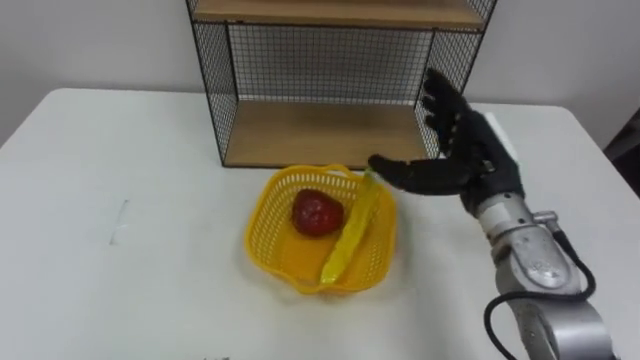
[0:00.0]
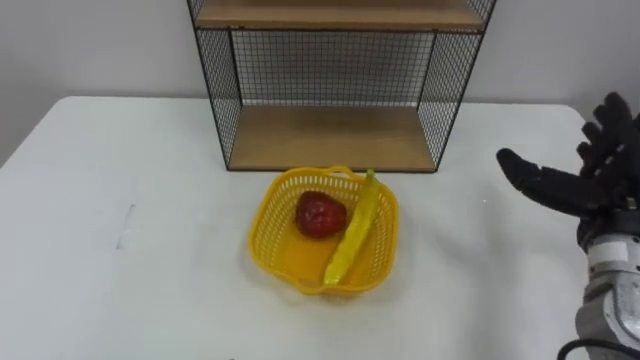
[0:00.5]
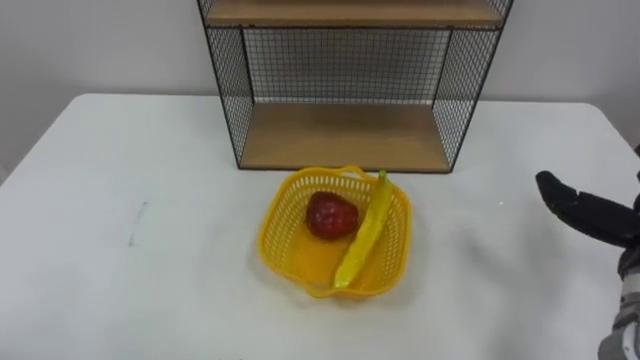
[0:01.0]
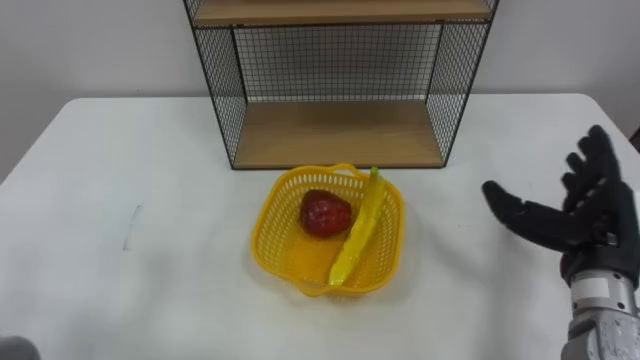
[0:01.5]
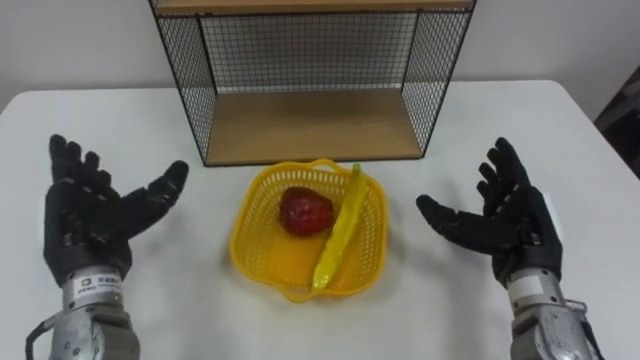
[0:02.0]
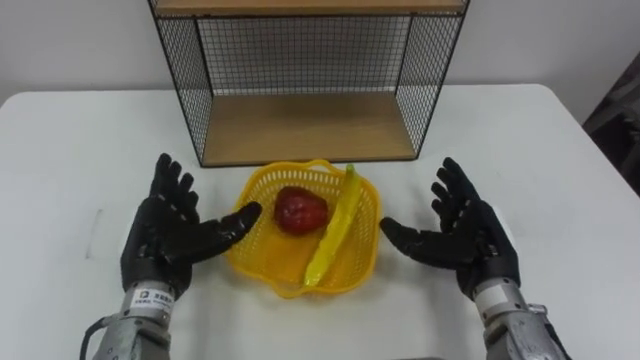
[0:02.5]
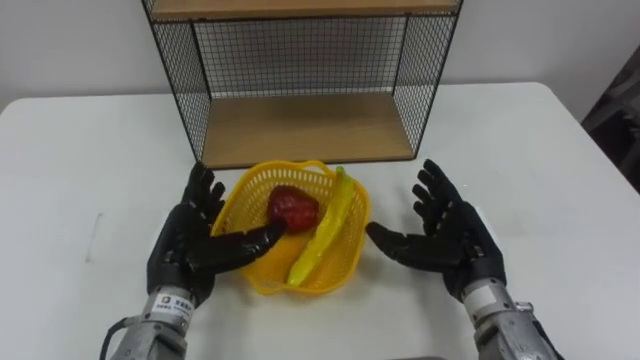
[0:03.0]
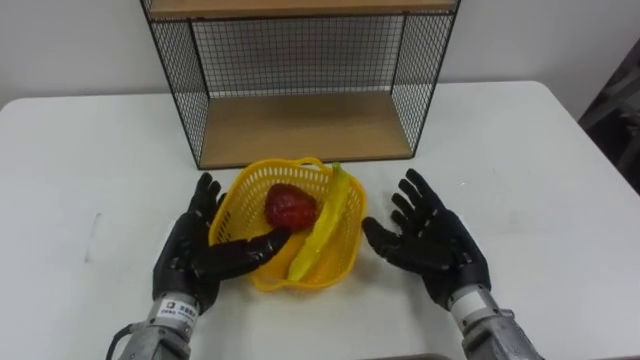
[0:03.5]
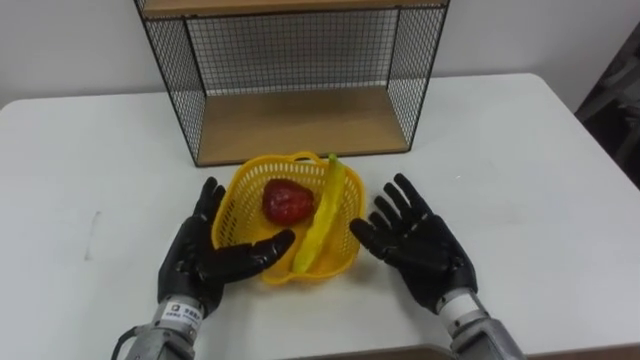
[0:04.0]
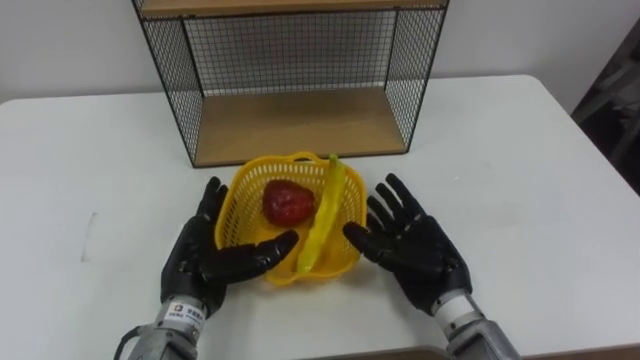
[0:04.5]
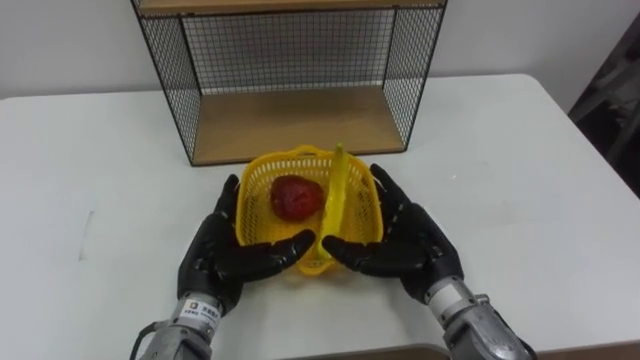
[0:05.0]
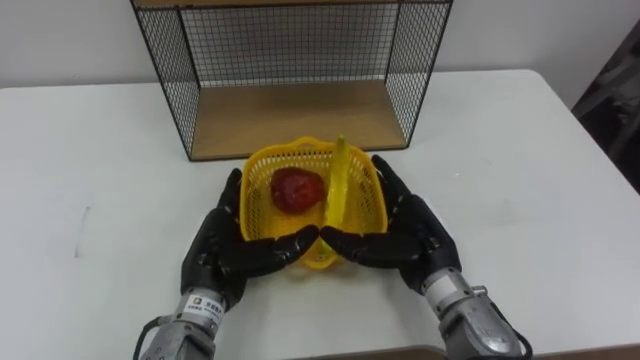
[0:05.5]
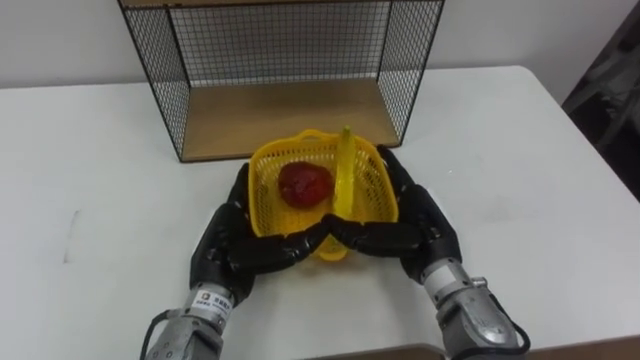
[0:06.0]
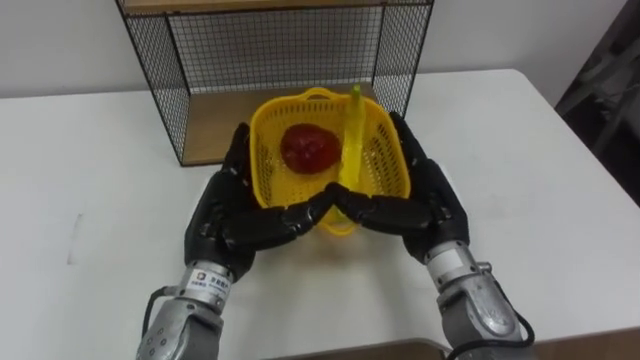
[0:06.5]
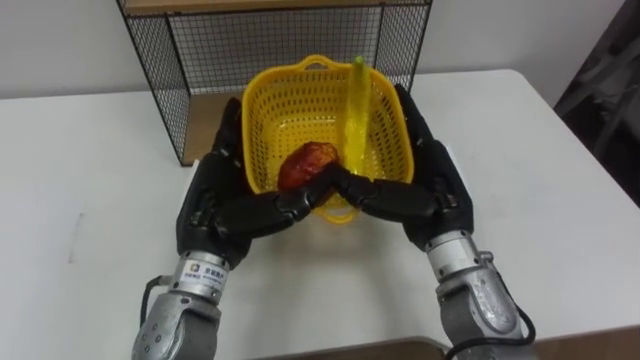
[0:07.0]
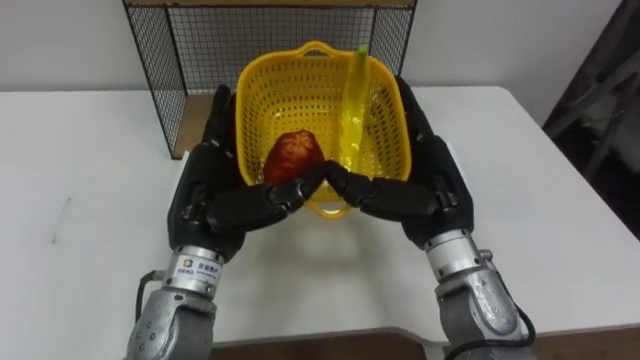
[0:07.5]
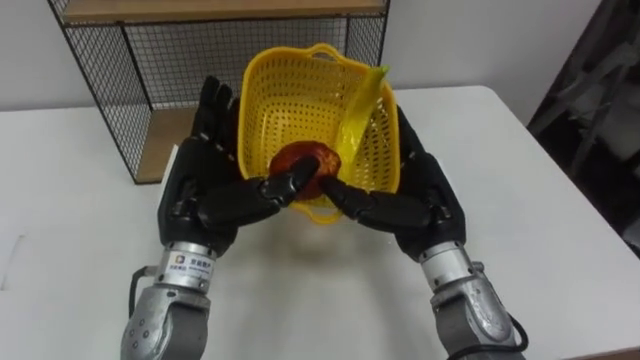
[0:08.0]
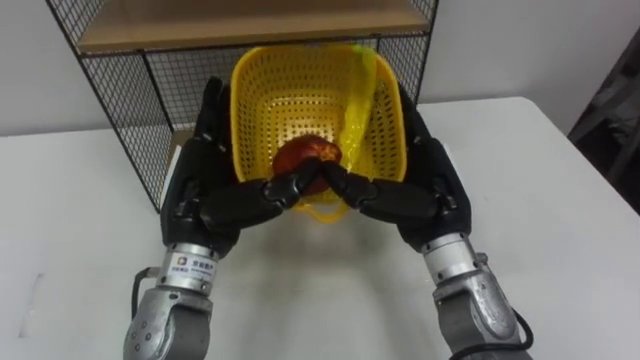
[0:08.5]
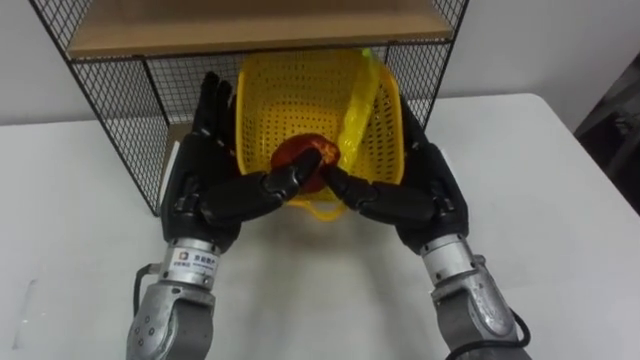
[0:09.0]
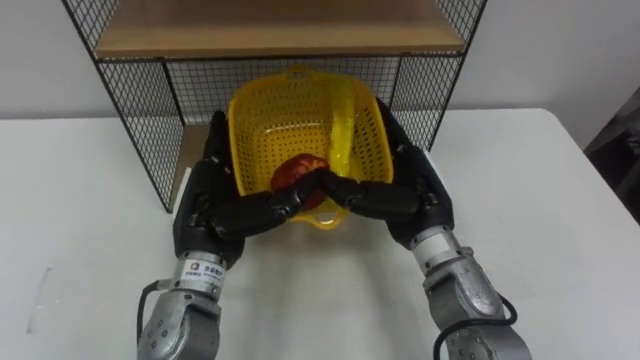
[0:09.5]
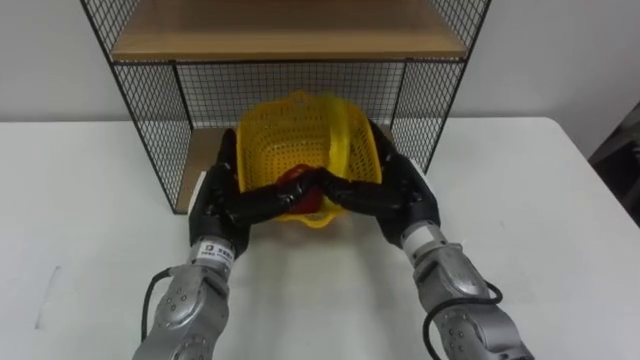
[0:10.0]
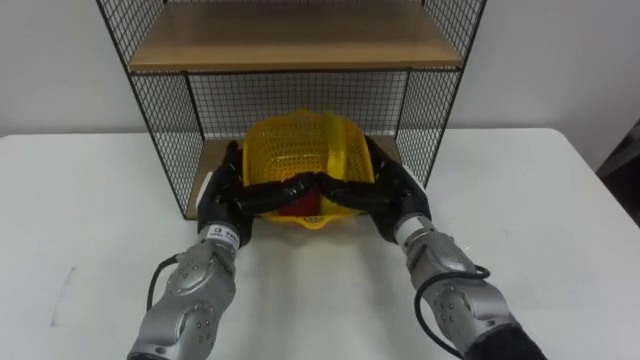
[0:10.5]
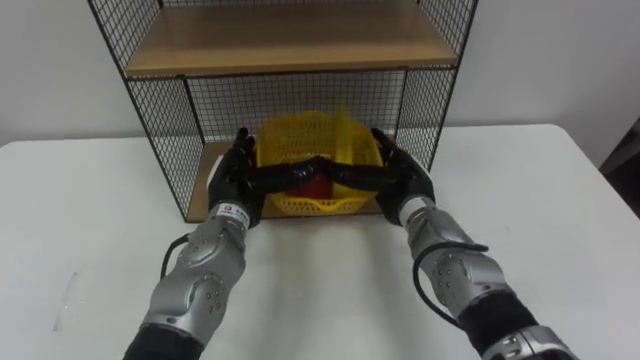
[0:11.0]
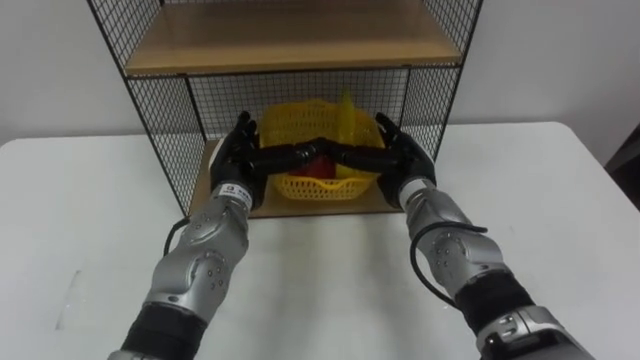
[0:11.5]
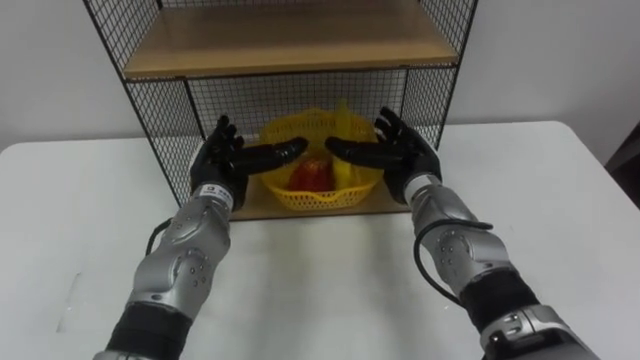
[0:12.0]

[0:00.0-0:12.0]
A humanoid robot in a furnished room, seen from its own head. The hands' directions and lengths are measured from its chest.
Task of the whole recording: Put the fruit on the table into the basket, then place the basket on the shelf.
0:02.0 to 0:04.0: The left hand heads to the right and downward, covering roughly 15 cm. The right hand is displaced to the left and downward by some 10 cm.
0:06.0 to 0:08.0: The right hand travels upward by some 5 cm. Meanwhile the left hand goes some 10 cm upward.
0:08.0 to 0:10.0: The left hand is displaced downward by about 10 cm; the right hand changes place by some 5 cm.
0:10.0 to 0:12.0: The hands both shift forward by about 5 cm.

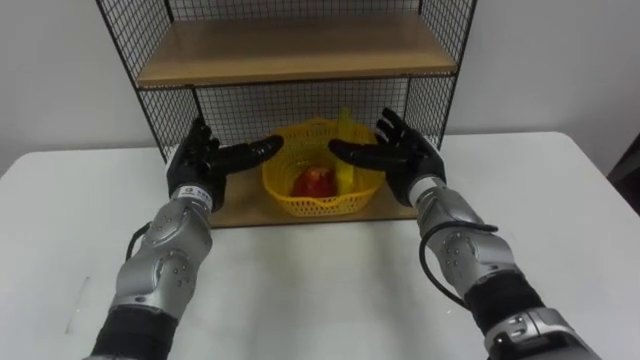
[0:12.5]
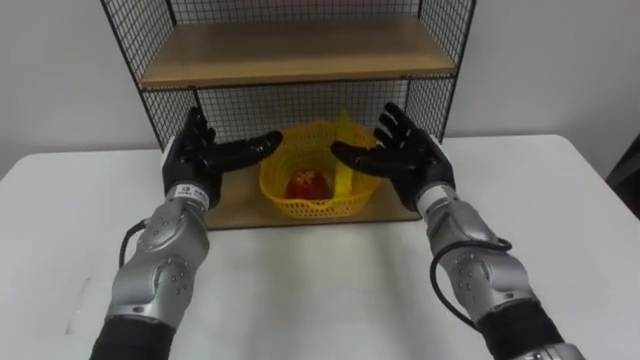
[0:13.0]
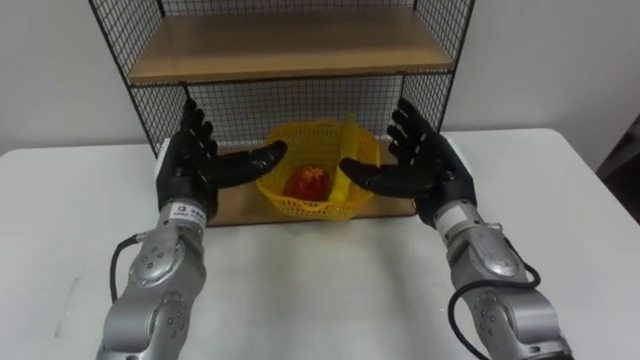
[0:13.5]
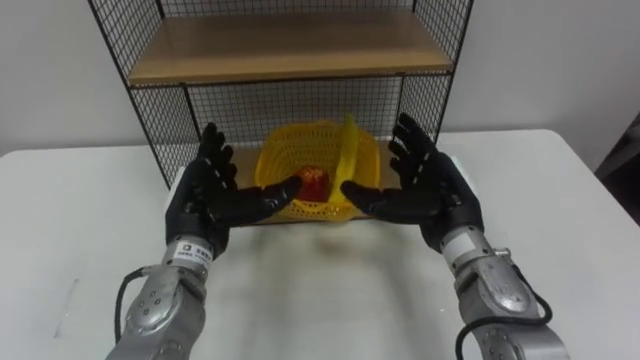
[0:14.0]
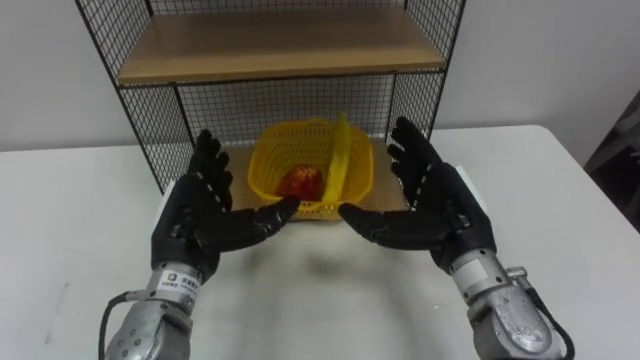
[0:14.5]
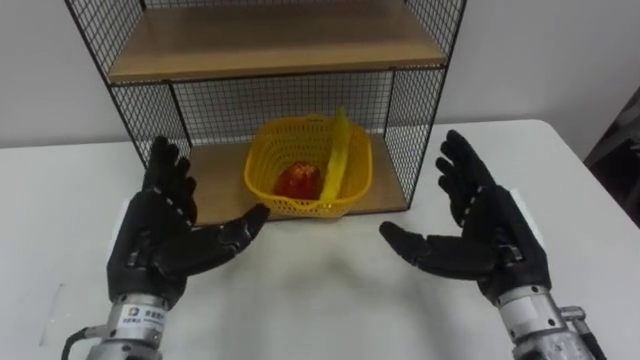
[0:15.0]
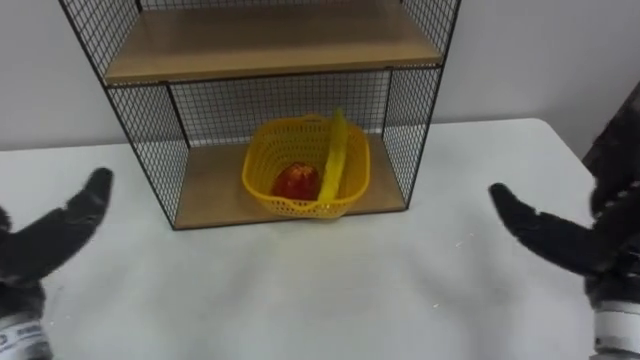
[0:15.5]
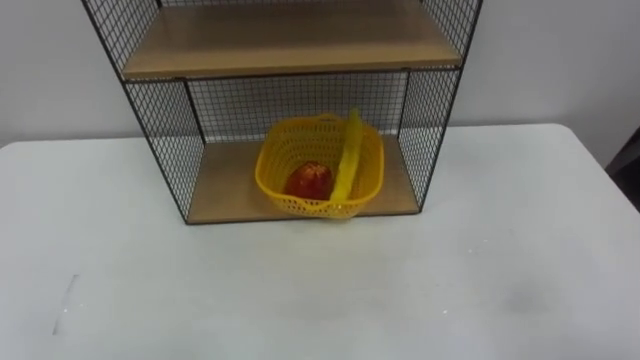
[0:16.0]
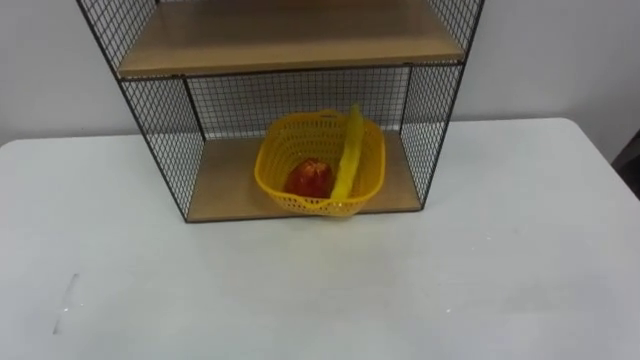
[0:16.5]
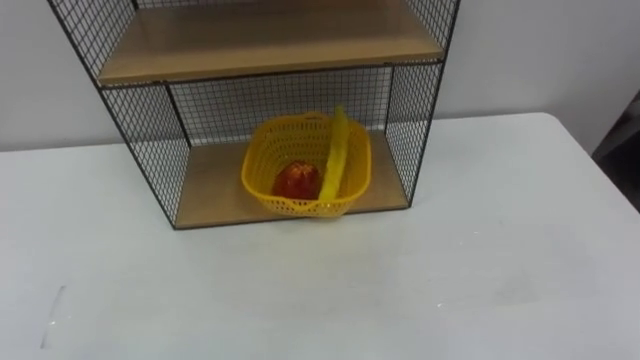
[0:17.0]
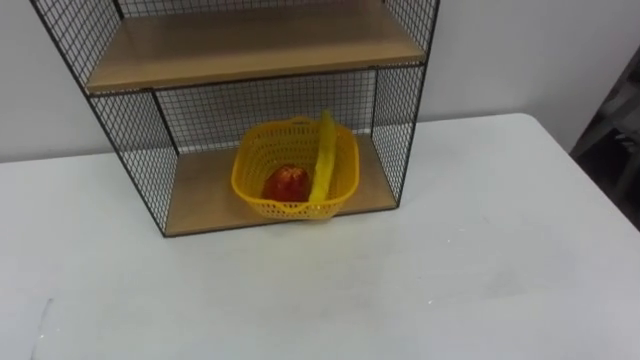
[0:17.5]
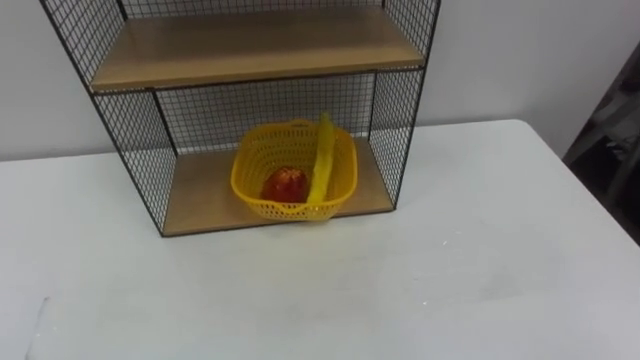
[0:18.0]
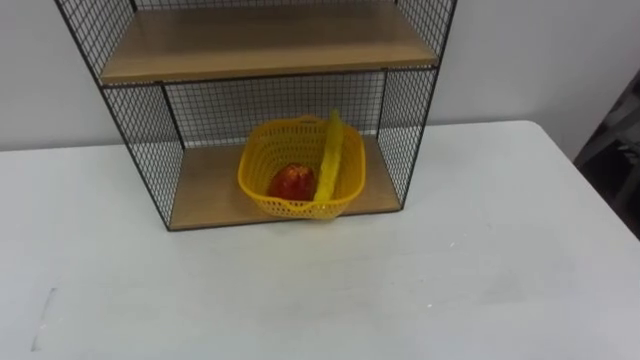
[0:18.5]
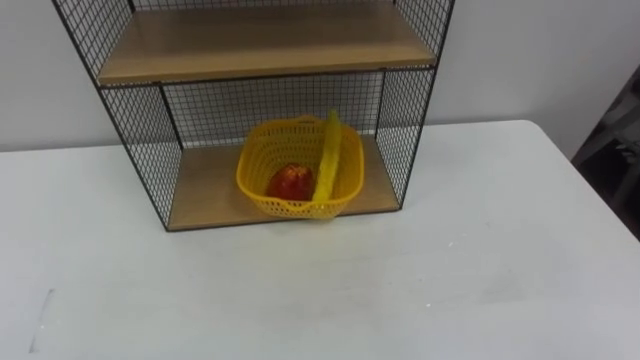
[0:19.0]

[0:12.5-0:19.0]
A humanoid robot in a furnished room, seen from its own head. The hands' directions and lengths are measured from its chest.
Task of the whole recording: Put the fruit on the table into the basket, then place the basket on the shelf.
0:12.5 to 0:14.5: Both hands move backward, approximately 10 cm.

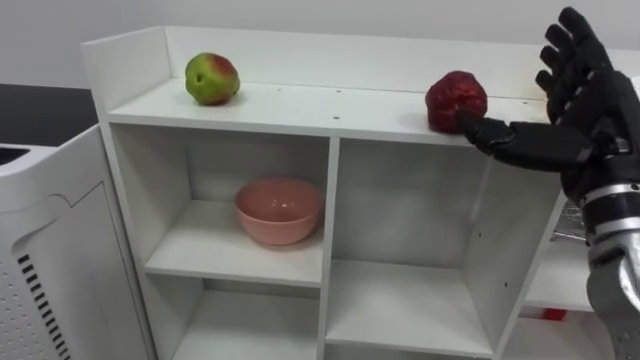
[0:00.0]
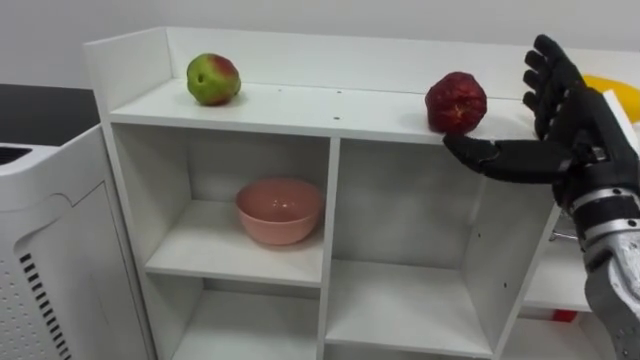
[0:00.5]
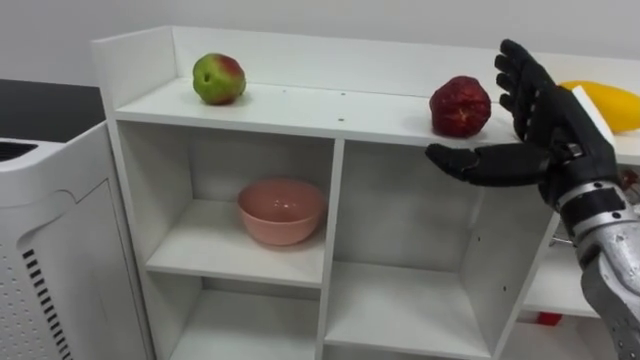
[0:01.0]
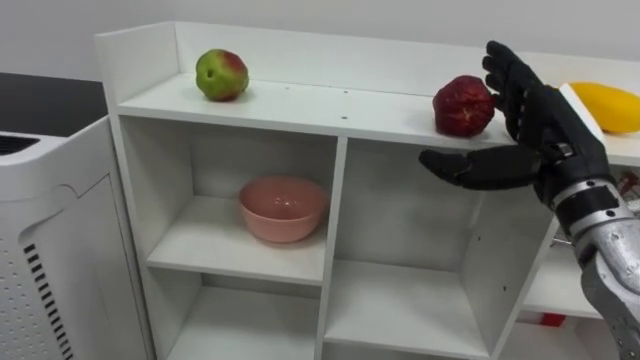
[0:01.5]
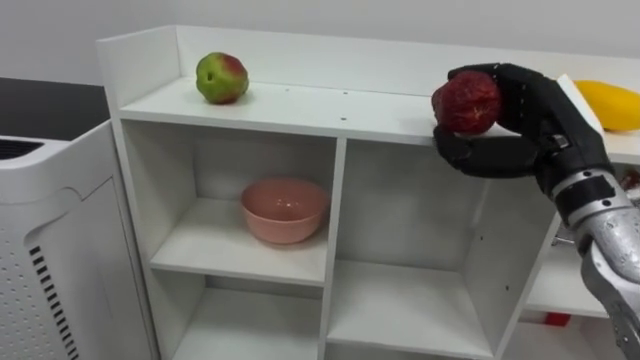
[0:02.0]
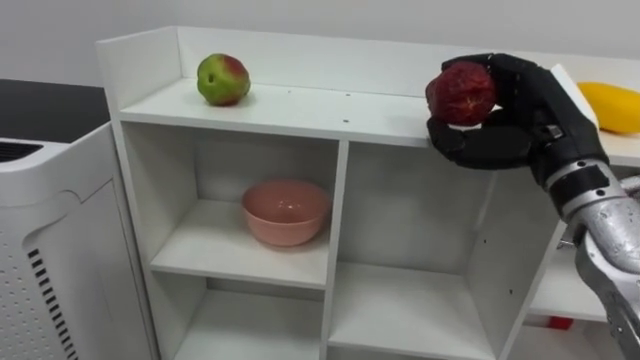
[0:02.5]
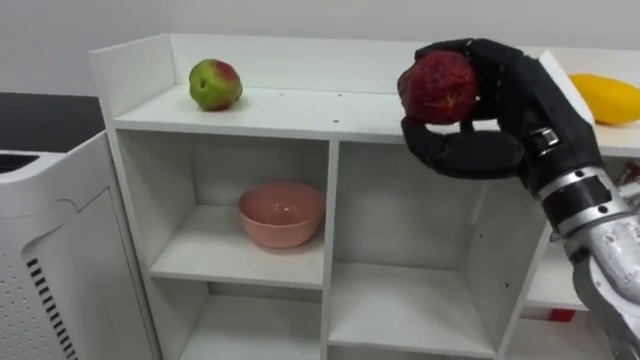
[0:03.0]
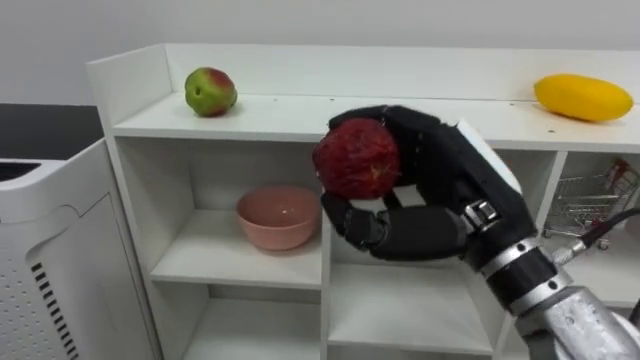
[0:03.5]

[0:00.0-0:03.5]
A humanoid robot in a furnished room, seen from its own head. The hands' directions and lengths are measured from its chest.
Task of the whole recording: Put the apple in the cell in the second column from the left and the second row from the top.
0:00.0 to 0:02.0: The right hand closes.
0:02.0 to 0:03.5: The right hand is displaced to the left and backward by roughly 10 cm.
